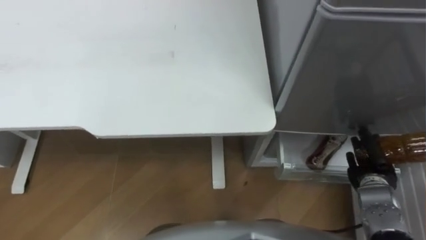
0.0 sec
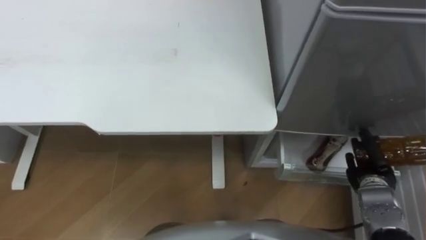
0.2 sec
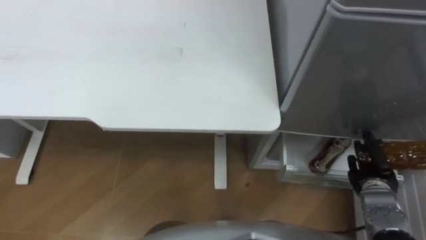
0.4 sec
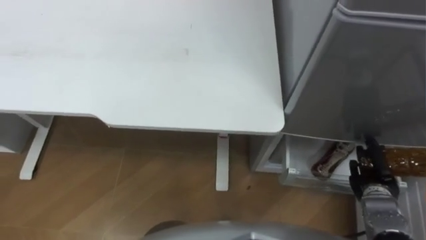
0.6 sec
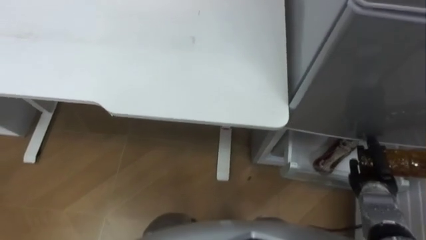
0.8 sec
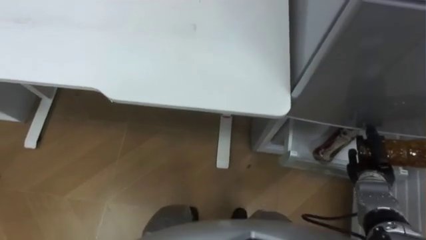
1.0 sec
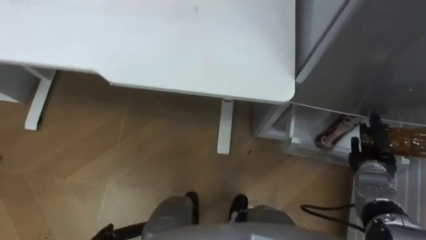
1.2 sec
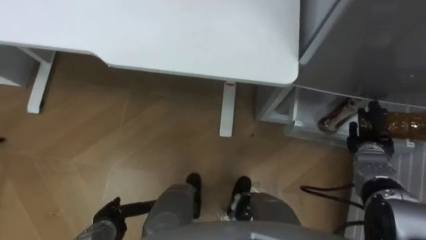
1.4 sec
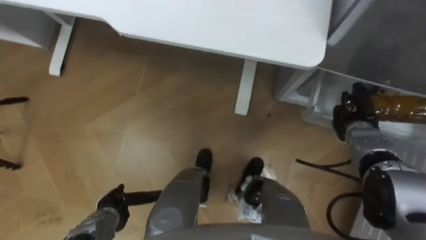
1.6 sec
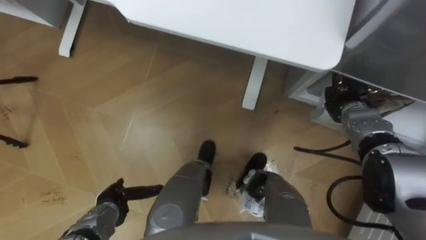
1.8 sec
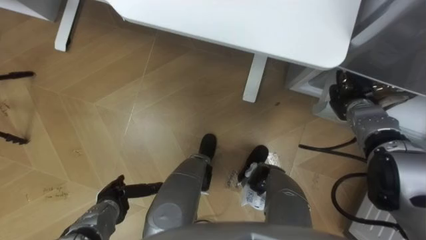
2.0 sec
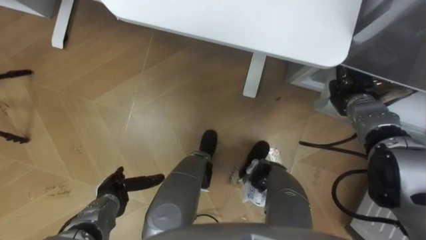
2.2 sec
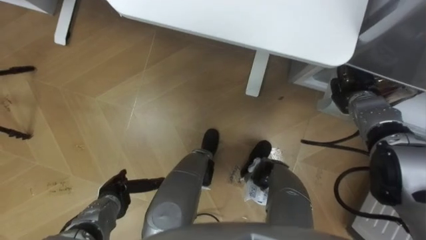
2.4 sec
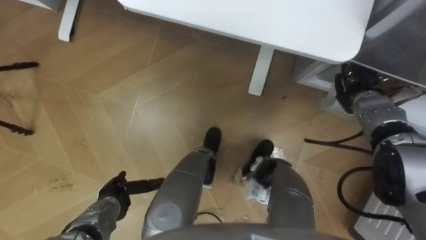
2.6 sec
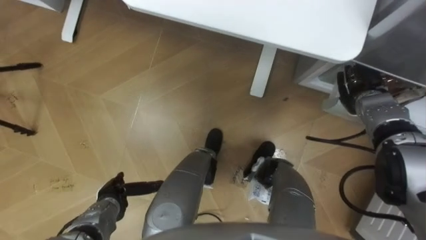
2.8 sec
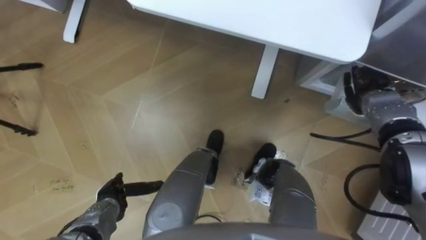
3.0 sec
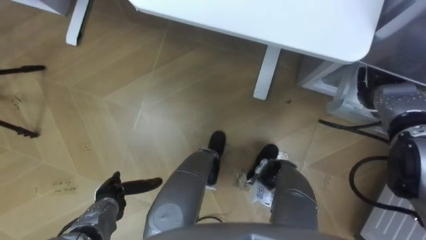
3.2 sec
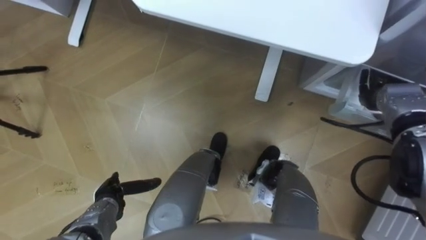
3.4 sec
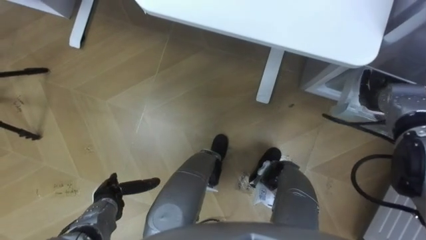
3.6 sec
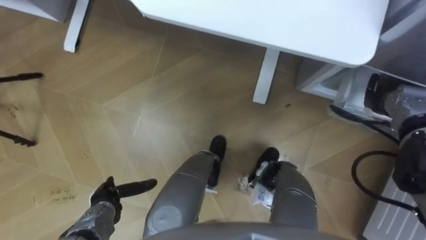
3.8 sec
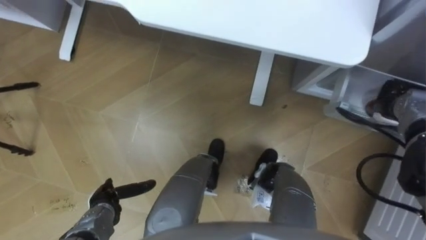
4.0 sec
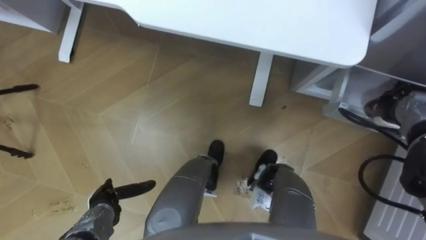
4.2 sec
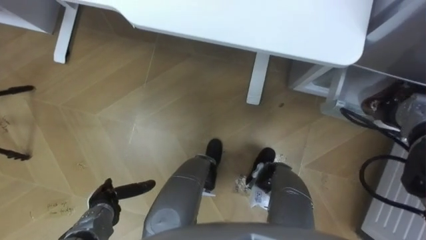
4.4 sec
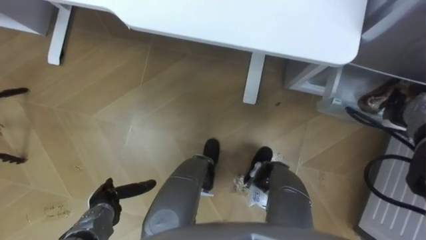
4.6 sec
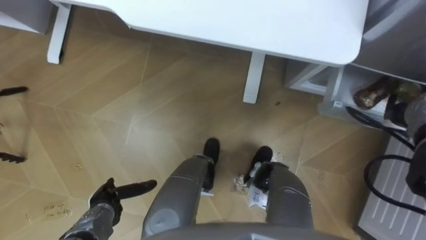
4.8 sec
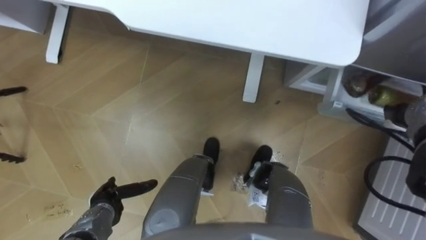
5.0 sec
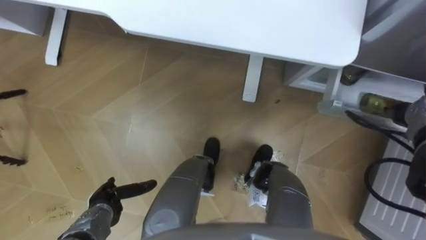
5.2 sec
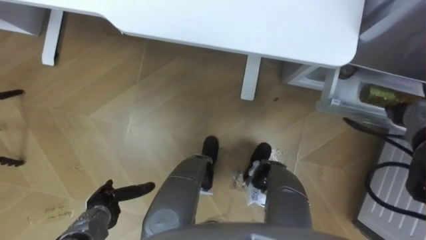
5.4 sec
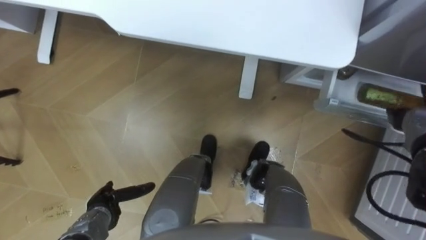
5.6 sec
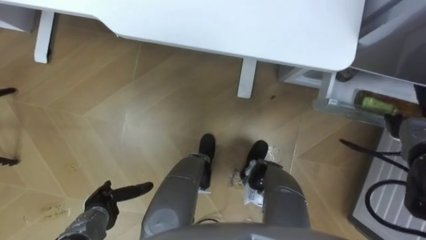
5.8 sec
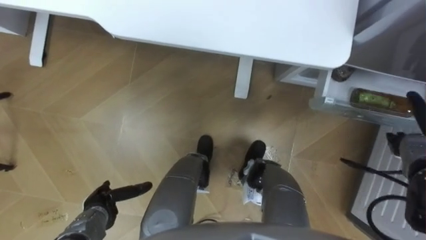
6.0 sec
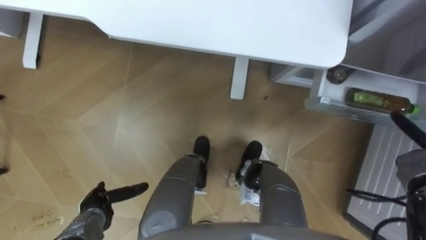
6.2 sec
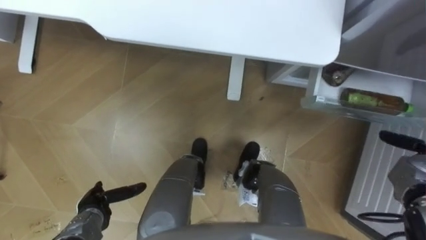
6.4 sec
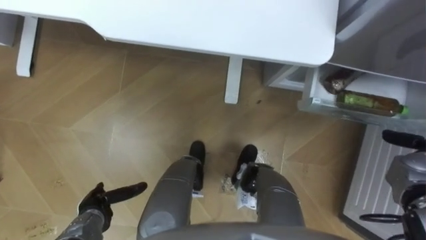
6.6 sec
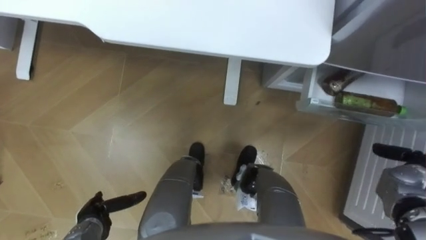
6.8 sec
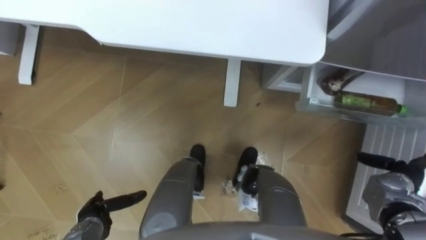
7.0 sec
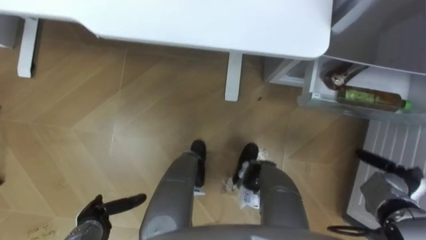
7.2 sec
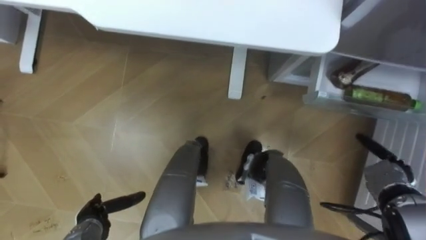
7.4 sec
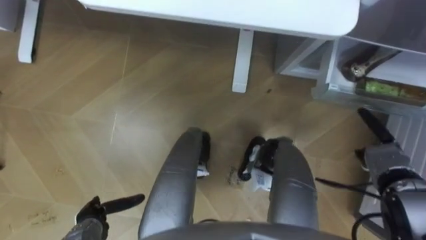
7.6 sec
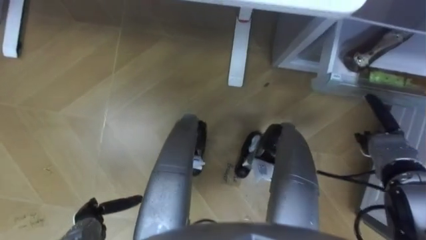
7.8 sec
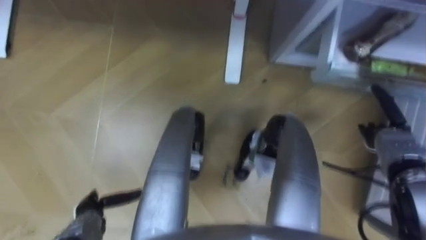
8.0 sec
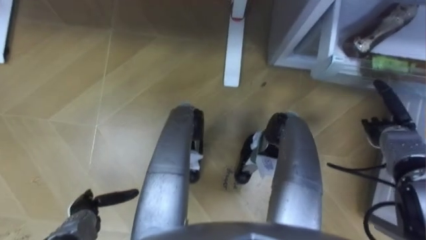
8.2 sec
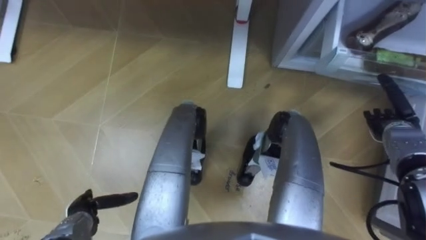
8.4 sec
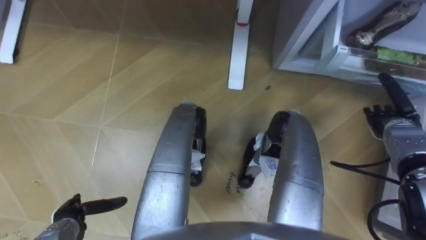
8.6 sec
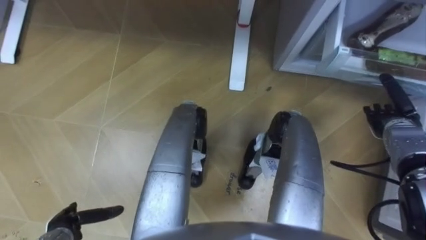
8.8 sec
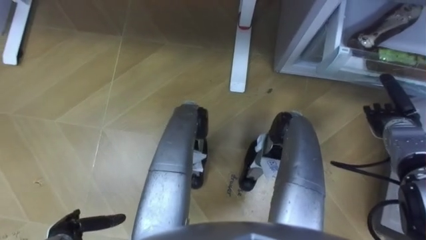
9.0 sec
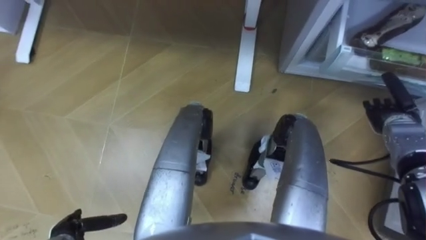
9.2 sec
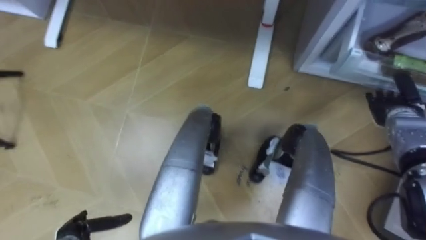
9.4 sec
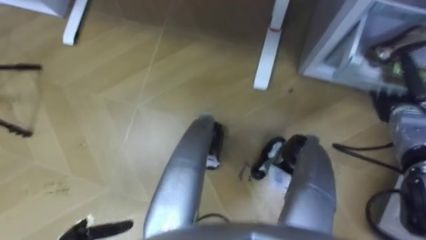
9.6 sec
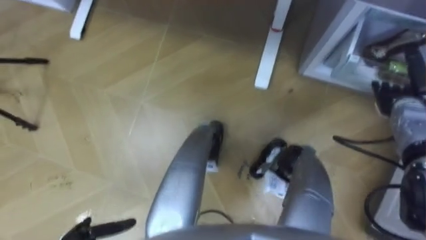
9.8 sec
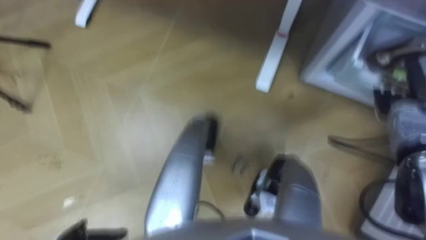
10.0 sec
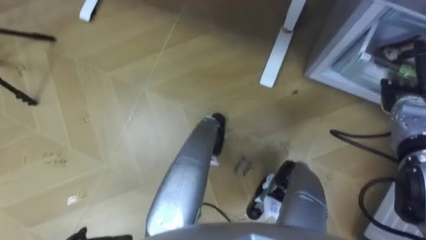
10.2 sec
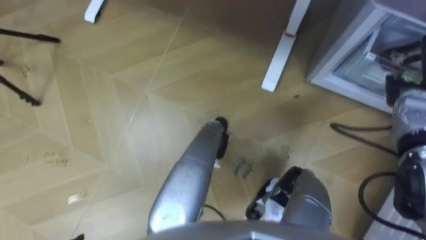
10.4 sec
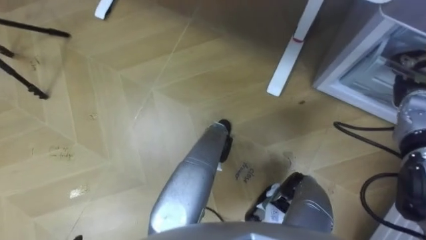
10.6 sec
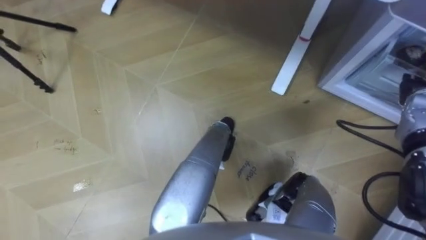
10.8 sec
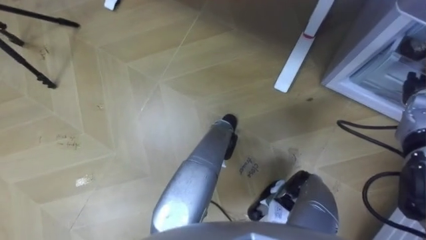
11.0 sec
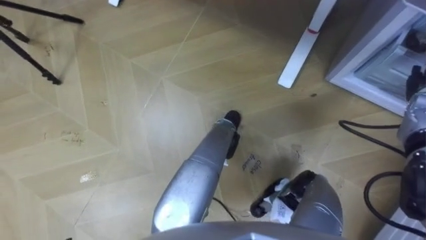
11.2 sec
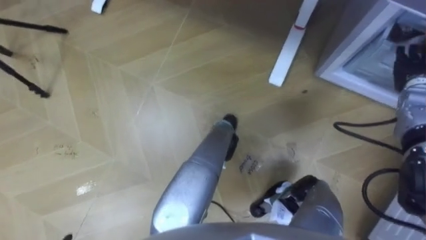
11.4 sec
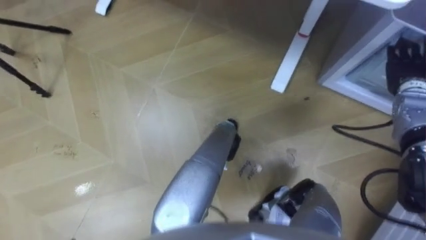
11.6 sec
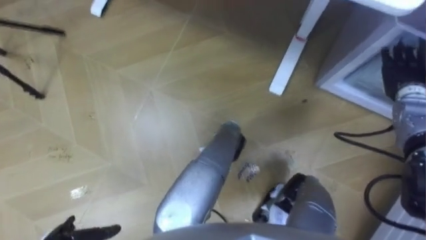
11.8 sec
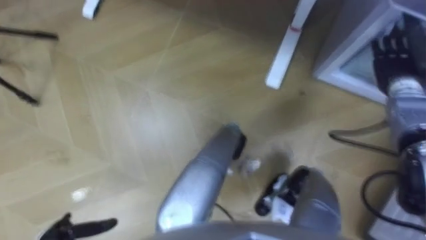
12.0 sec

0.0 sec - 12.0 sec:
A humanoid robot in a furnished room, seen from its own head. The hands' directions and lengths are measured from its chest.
Task of the whole recording: Place the drink on the table on the bottom shelf of the refrigerator, then close the drawer and the refrigerator door.
0.0 sec - 1.6 sec: The right hand heads forward, covering approximately 10 cm.
1.6 sec - 3.0 sec: The right hand shifts by about 5 cm.
3.0 sec - 4.4 sec: The right hand goes some 5 cm to the right.
4.4 sec - 6.0 sec: The right hand ends up roughly 5 cm from where it was, and opens.
7.6 sec - 9.0 sec: The right hand moves forward, roughly 5 cm. Meanwhile the left hand moves about 5 cm.
9.0 sec - 10.4 sec: The right hand heads upward, covering roughly 5 cm.
10.4 sec - 12.0 sec: The right hand changes place by approximately 5 cm.

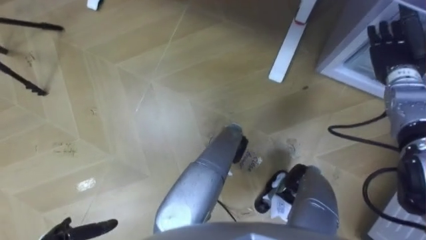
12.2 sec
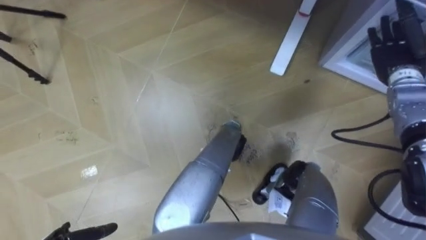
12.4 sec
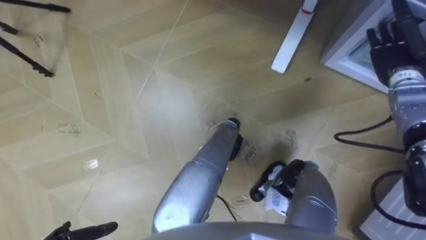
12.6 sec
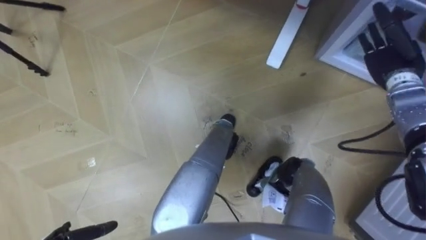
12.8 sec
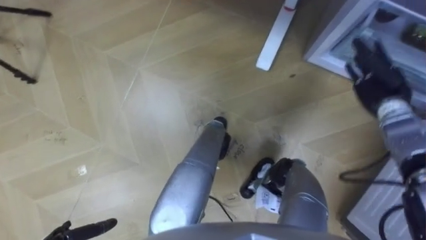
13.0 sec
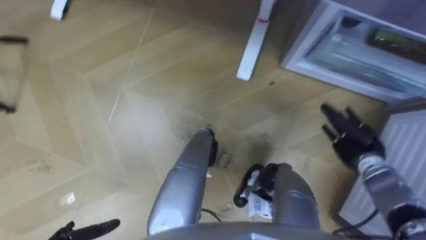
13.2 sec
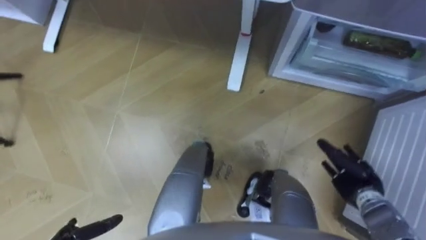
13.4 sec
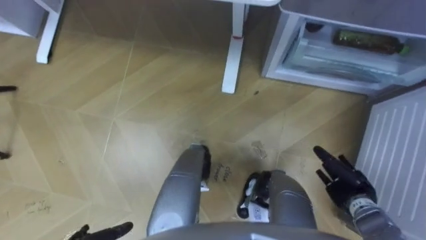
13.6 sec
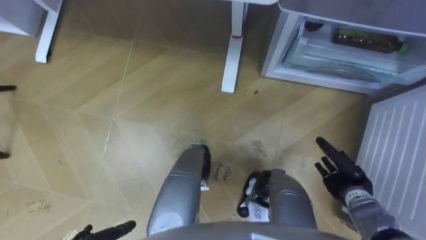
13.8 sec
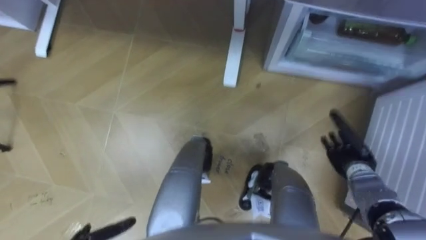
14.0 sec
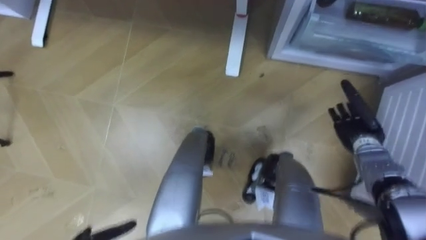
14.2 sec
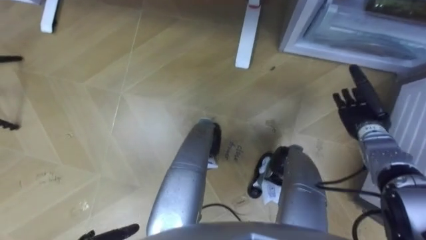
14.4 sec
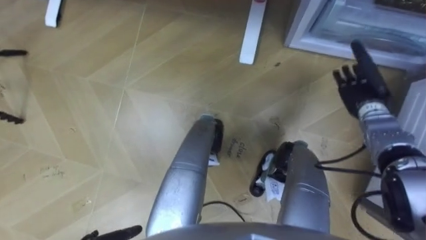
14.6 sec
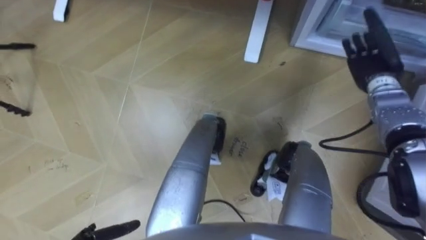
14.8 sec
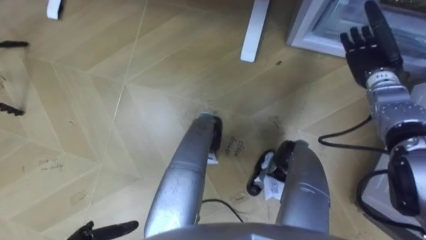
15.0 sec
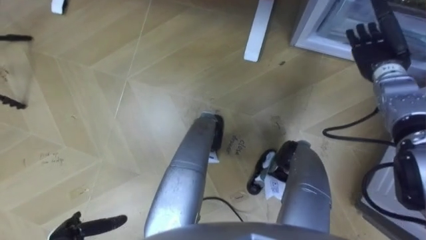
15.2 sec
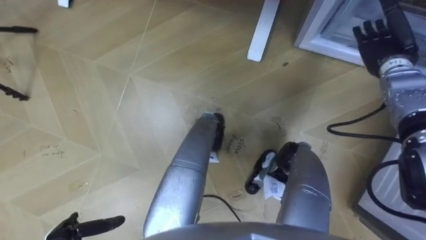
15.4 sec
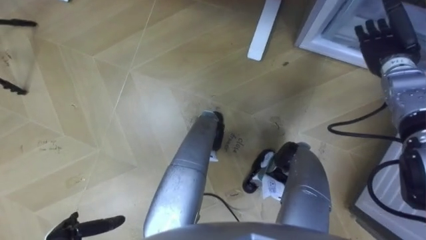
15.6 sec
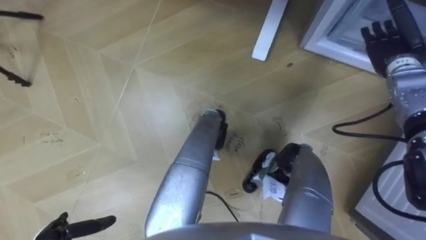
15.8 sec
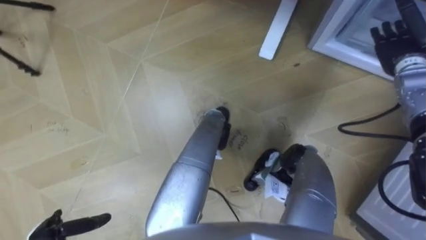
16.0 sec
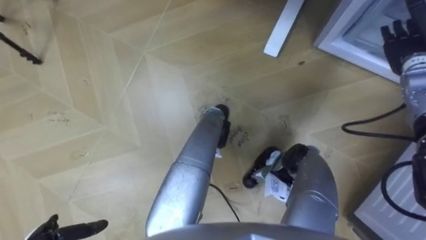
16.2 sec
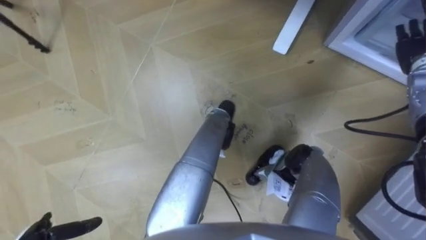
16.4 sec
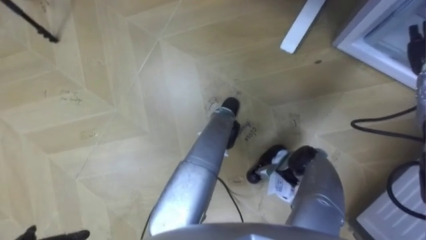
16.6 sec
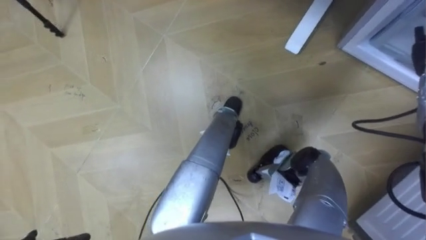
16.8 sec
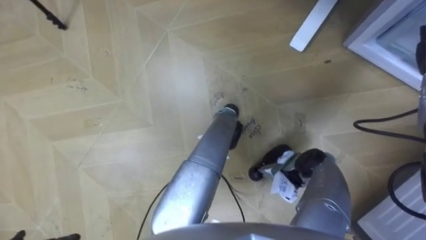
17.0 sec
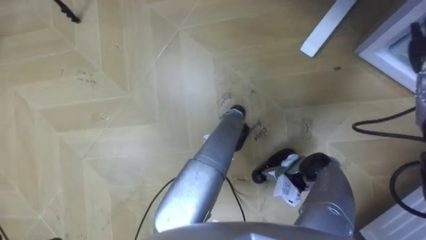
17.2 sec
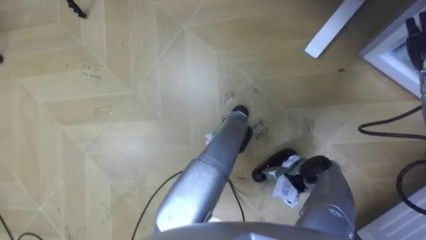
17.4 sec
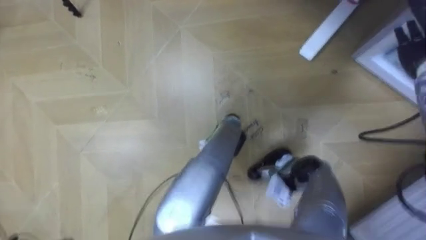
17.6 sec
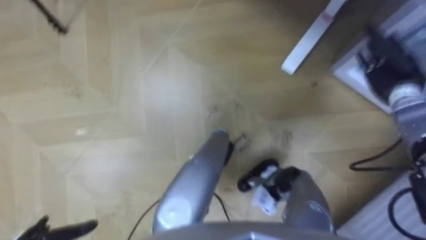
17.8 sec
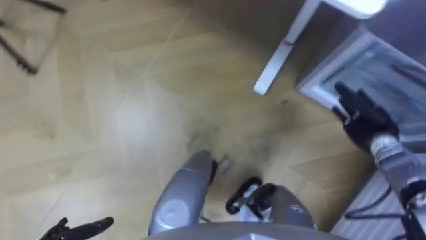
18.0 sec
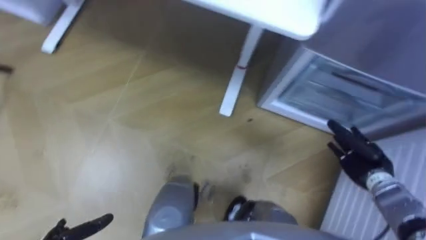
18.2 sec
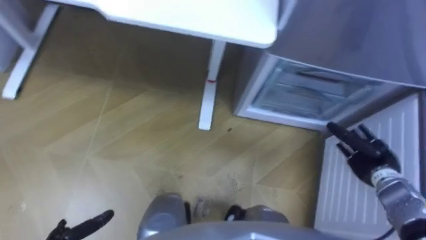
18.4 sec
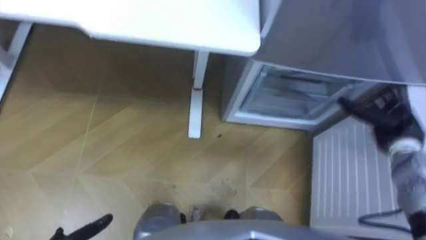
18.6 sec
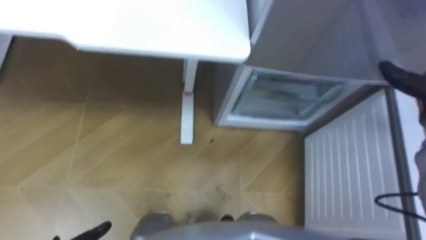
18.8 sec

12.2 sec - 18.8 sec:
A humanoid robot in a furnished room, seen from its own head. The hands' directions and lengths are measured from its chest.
Task of the whole recording: Place the drink on the table on the bottom shelf of the refrigerator, then close the drawer and the refrigerator door.
12.2 sec - 13.8 sec: The right hand moves backward and downward, about 30 cm.
13.8 sec - 15.4 sec: The right hand travels forward and upward by roughly 30 cm.
